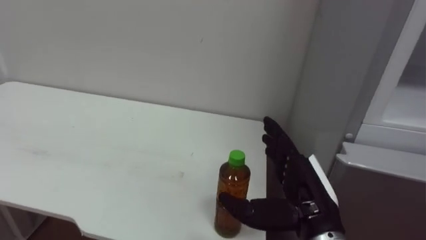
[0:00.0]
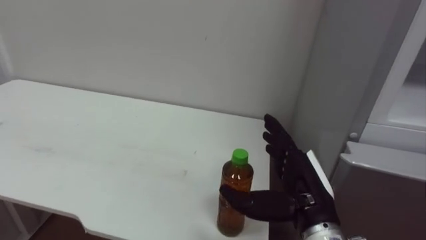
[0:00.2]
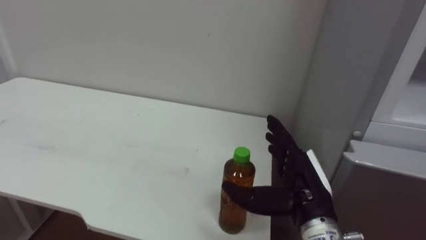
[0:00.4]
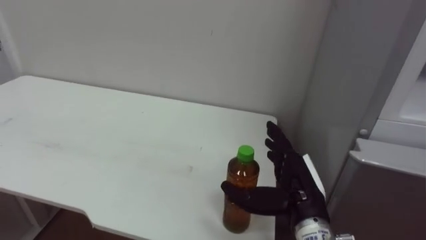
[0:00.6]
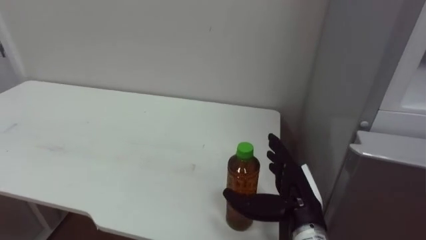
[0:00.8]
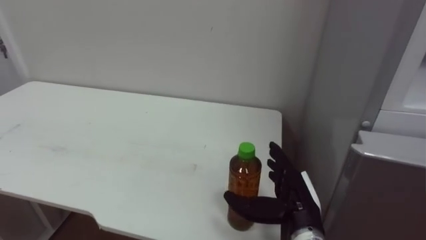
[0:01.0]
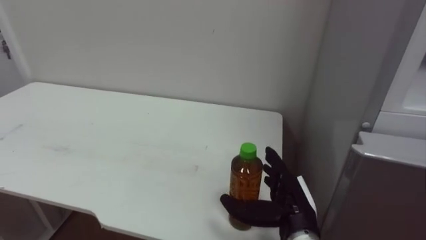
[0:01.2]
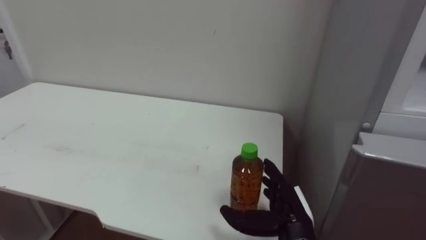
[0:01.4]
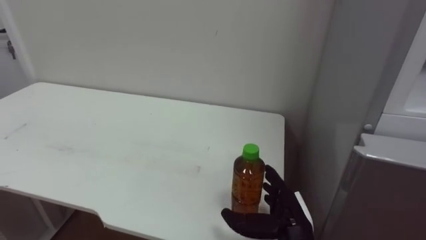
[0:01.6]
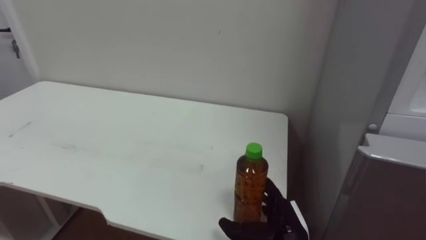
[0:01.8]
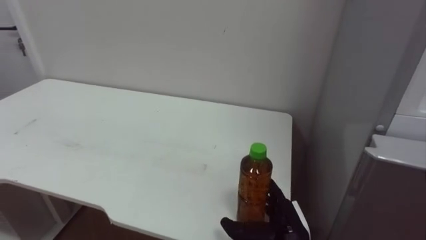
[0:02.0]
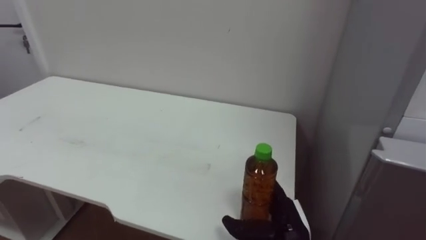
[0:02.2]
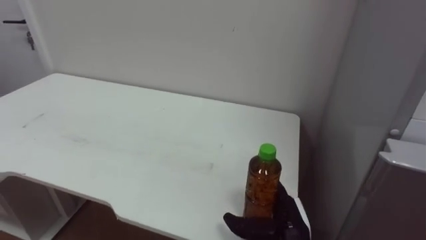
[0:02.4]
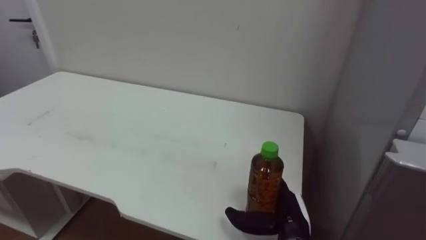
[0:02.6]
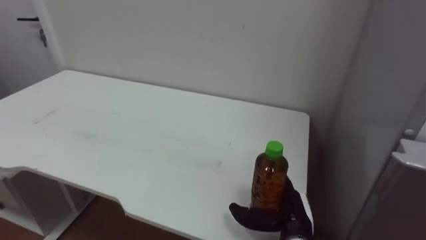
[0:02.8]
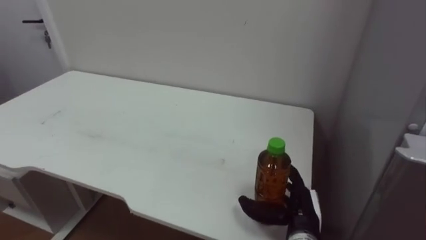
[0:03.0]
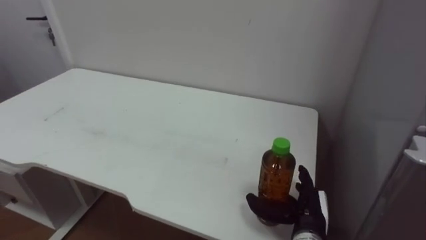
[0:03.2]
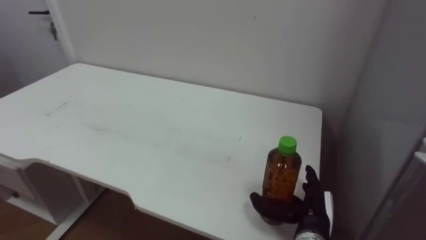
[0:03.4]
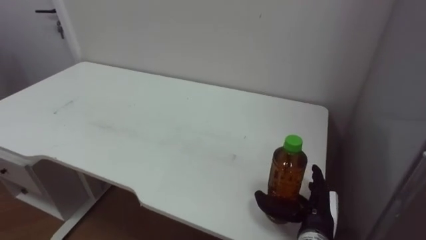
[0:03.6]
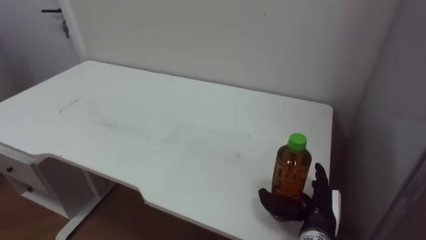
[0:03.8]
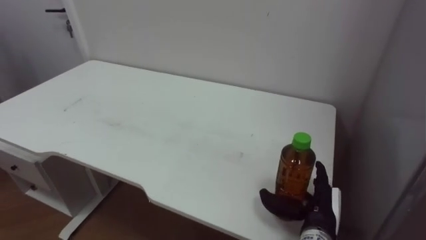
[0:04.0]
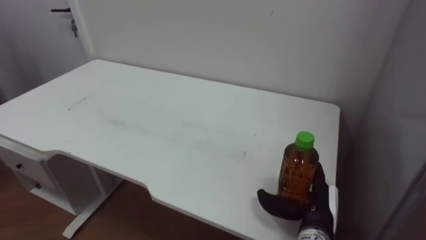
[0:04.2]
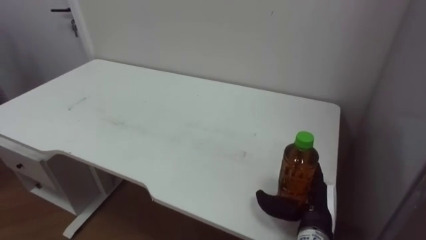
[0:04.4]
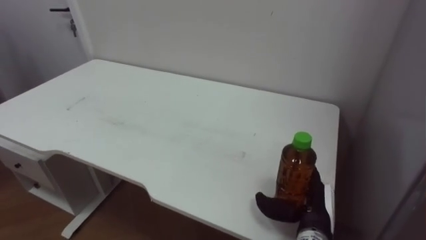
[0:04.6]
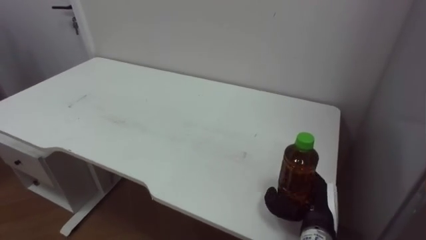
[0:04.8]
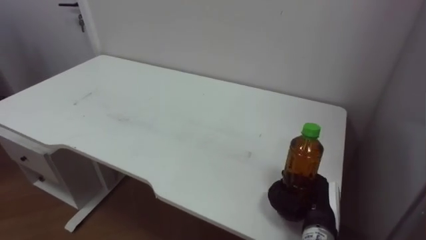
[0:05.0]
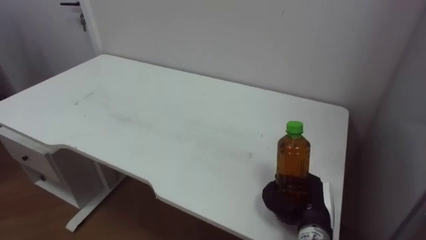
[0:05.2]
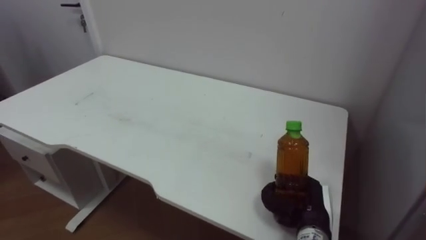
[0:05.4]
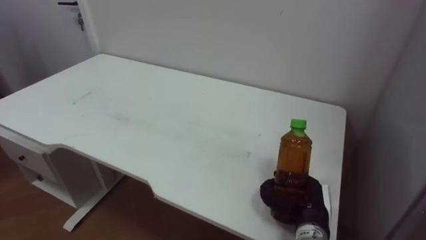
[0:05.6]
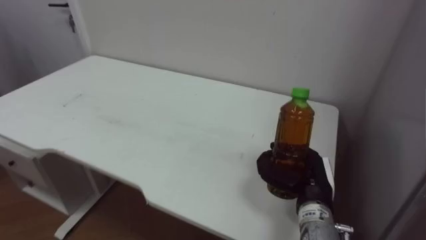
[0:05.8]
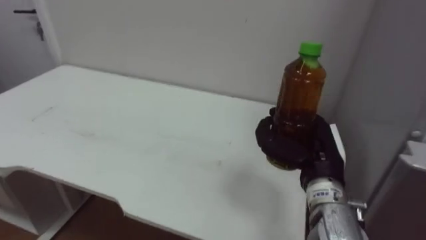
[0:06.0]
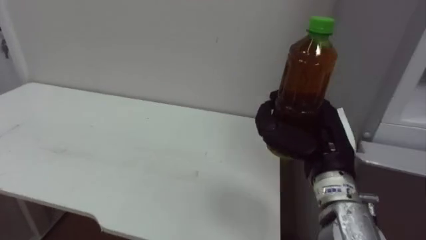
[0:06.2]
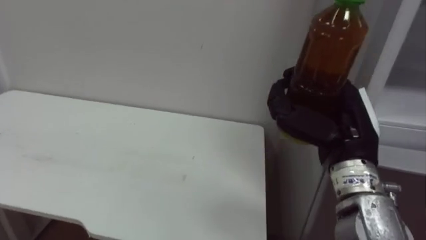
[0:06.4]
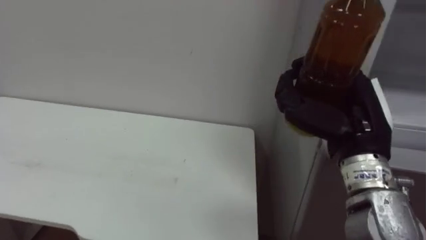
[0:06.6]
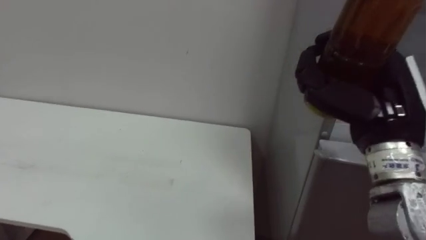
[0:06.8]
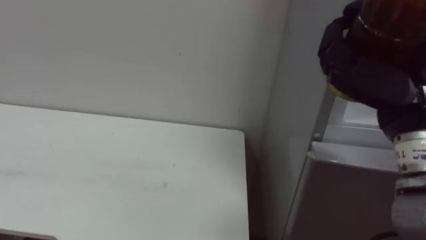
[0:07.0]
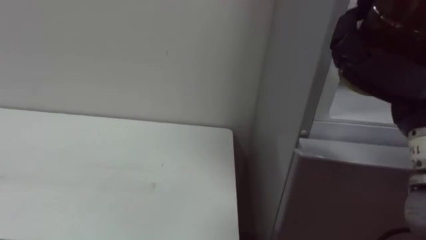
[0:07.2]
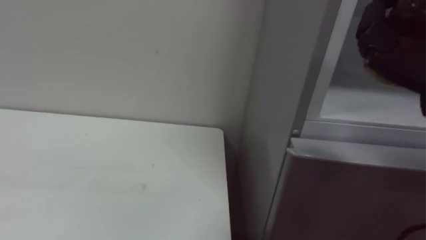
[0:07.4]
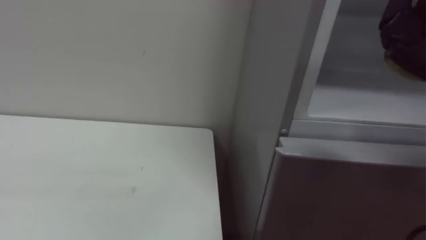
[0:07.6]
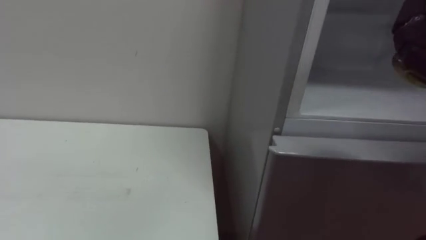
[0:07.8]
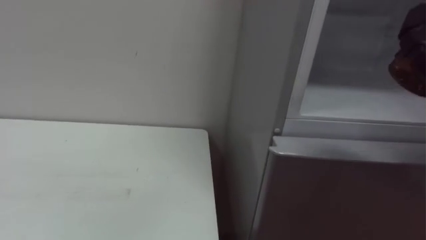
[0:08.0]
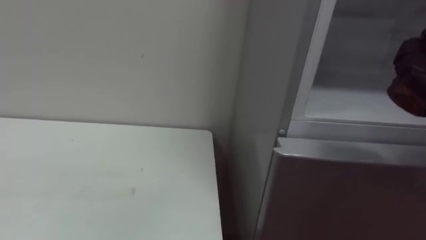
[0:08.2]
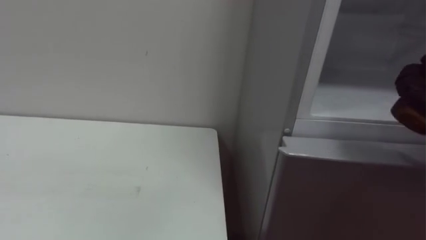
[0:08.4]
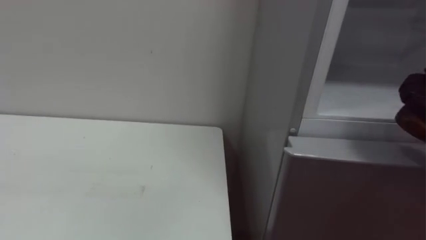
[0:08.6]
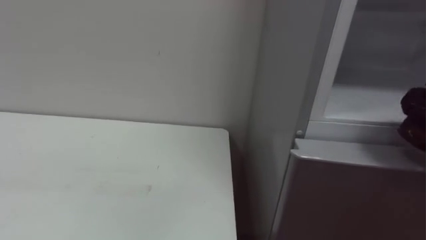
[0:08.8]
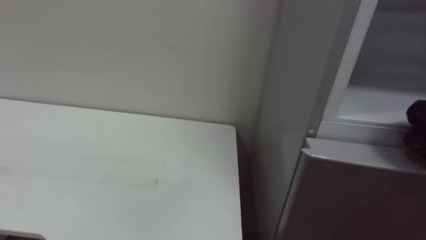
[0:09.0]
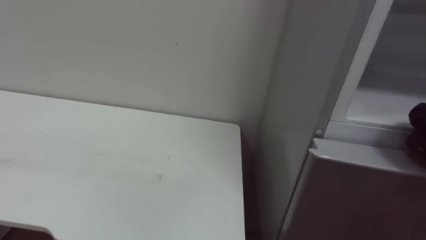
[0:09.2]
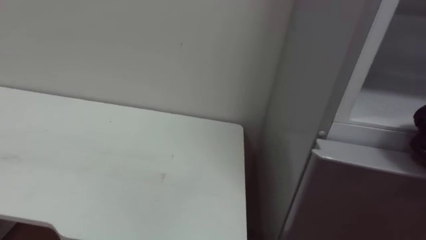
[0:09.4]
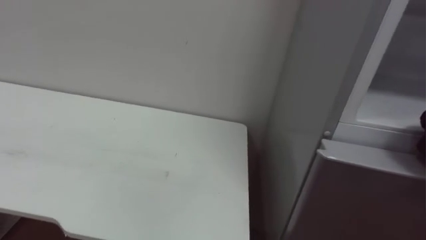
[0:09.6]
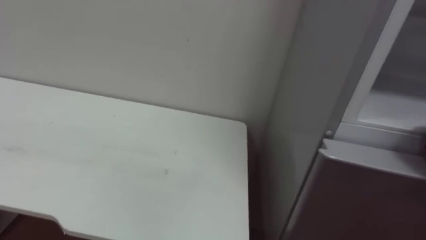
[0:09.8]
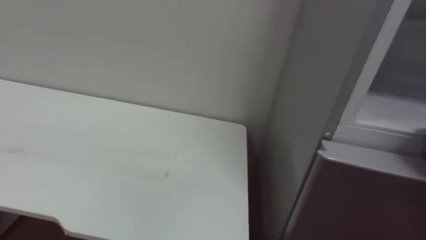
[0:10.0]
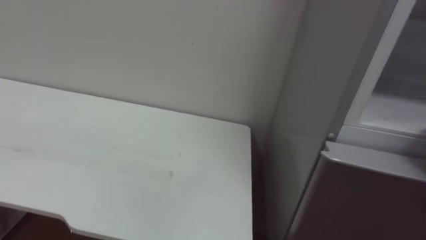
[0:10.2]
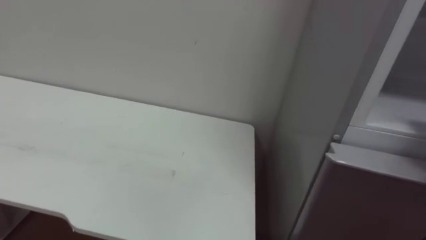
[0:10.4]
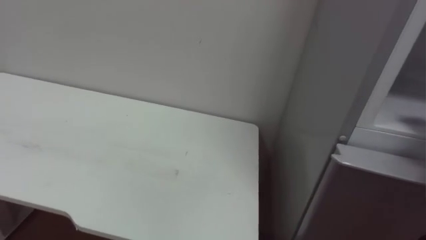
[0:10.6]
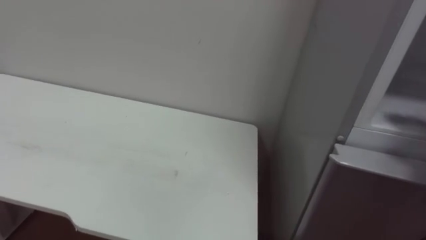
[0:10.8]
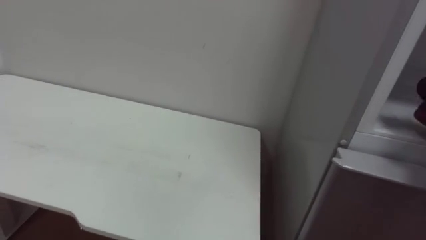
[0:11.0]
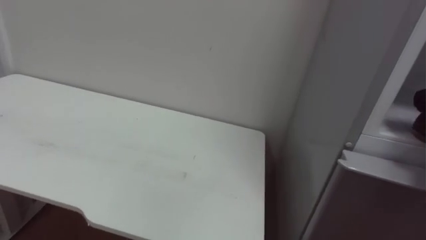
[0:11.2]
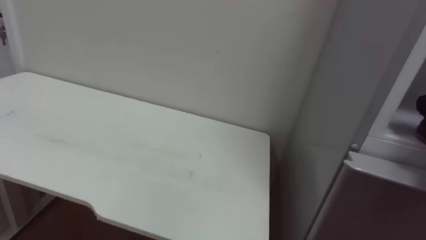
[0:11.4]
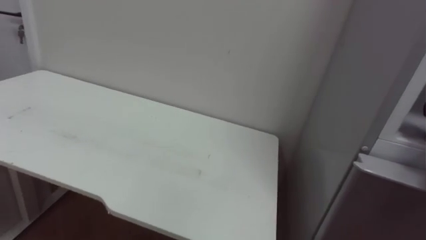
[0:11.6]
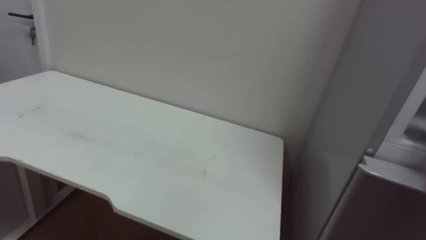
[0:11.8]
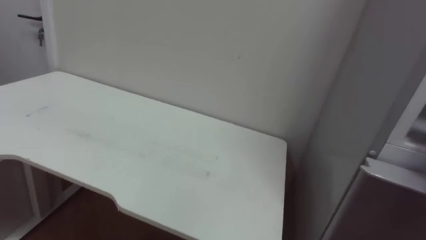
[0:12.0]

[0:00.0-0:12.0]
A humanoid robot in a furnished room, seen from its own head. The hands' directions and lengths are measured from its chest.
Task of the whole recording: Open the upper refrigerator door, put the drink from the table into the refrigerator, and then close the refrigerator door.
0:00.0 to 0:01.6: The right hand is displaced downward by approximately 10 cm.
0:04.4 to 0:06.0: The right hand shifts some 10 cm upward, and closes its fingers.

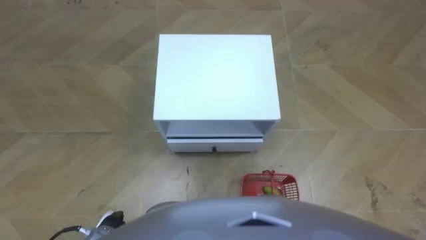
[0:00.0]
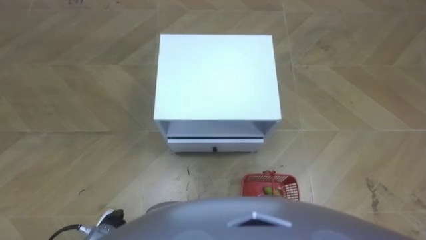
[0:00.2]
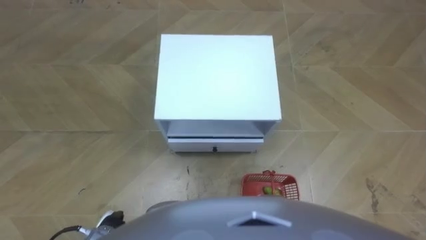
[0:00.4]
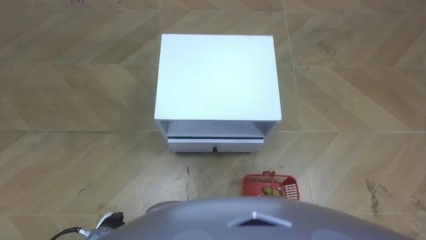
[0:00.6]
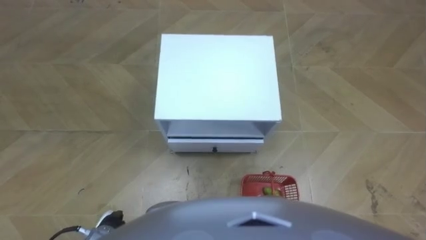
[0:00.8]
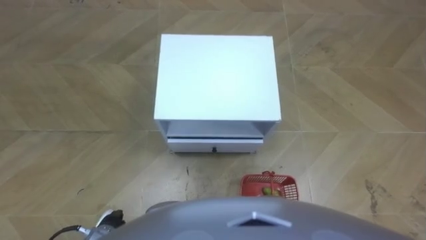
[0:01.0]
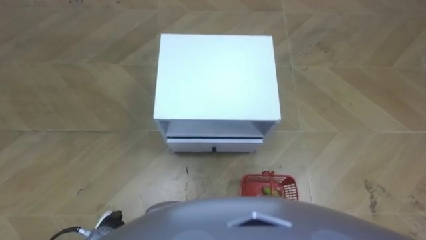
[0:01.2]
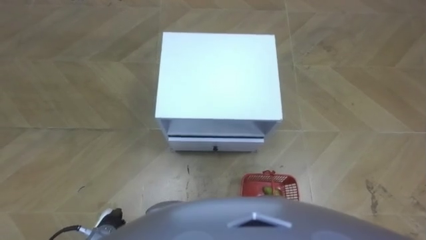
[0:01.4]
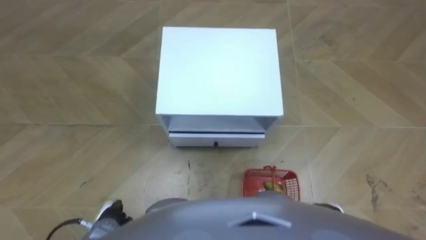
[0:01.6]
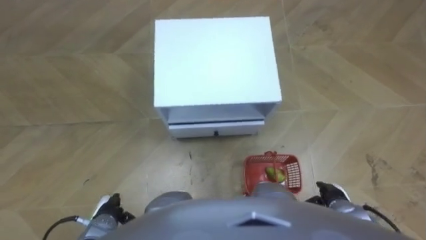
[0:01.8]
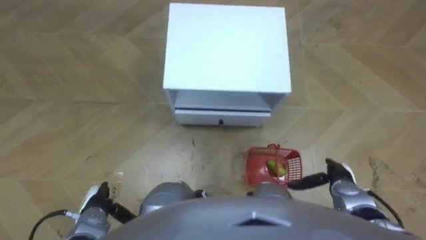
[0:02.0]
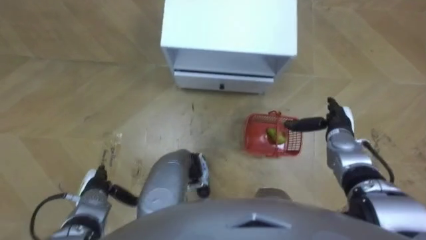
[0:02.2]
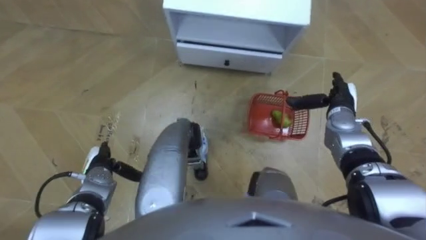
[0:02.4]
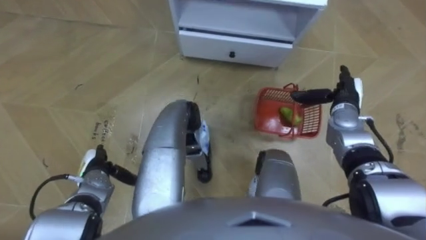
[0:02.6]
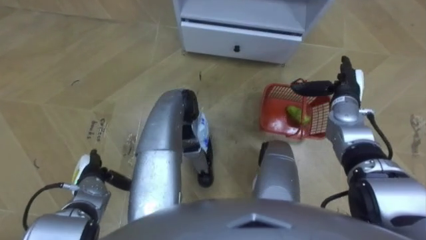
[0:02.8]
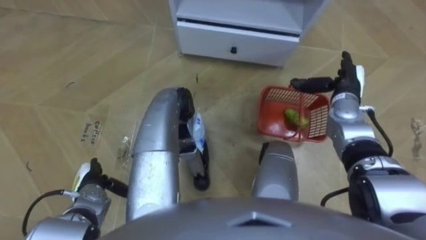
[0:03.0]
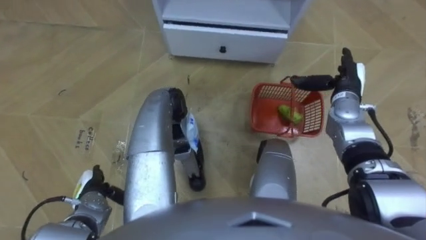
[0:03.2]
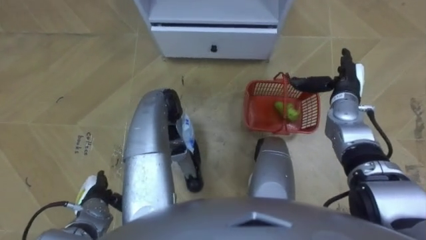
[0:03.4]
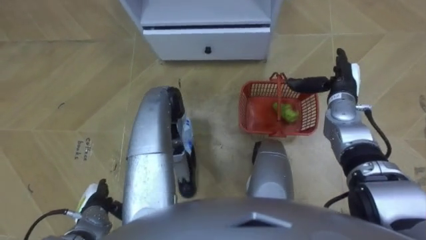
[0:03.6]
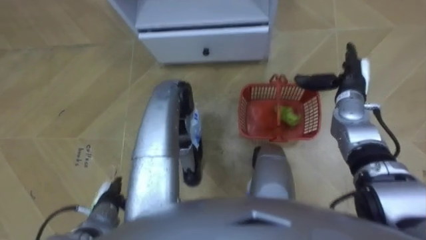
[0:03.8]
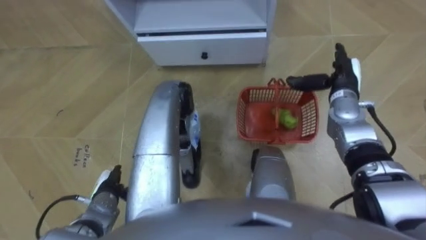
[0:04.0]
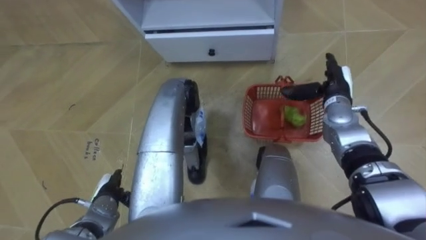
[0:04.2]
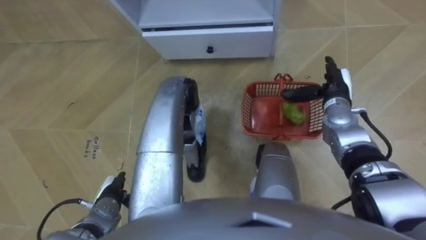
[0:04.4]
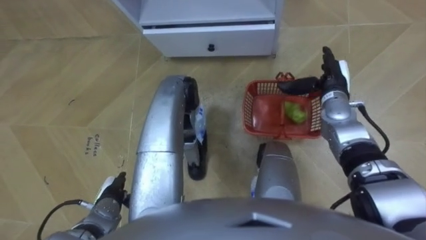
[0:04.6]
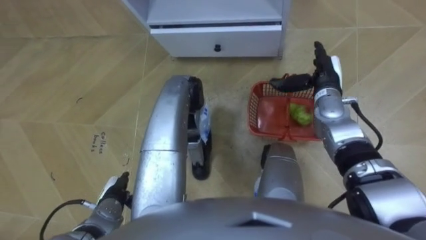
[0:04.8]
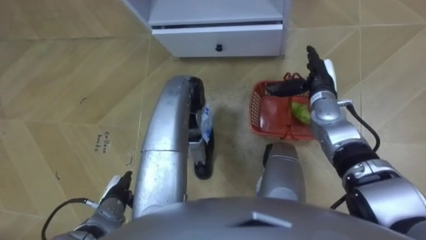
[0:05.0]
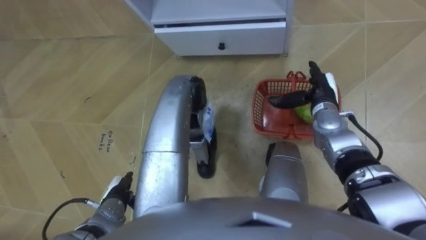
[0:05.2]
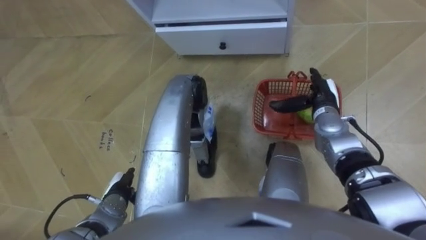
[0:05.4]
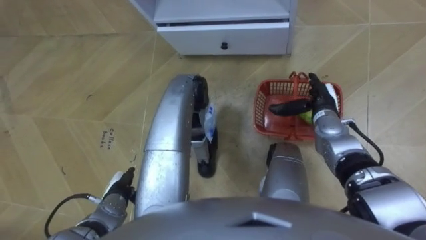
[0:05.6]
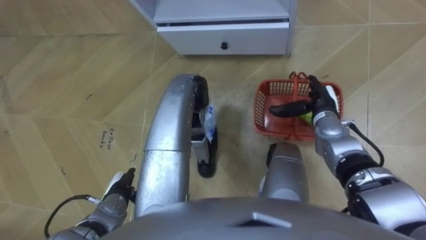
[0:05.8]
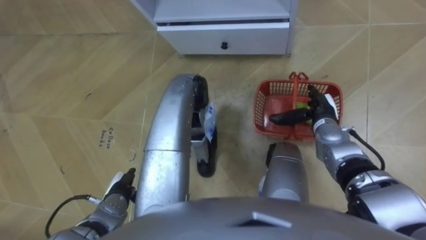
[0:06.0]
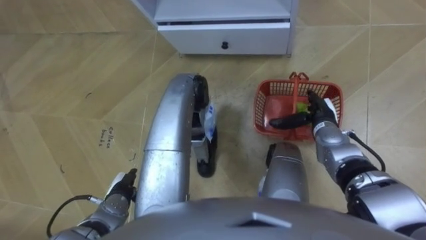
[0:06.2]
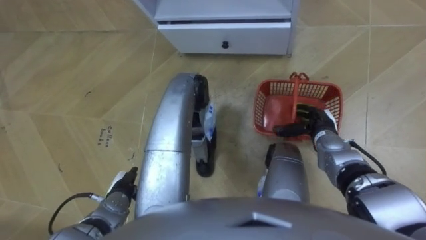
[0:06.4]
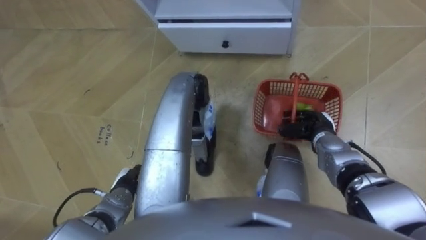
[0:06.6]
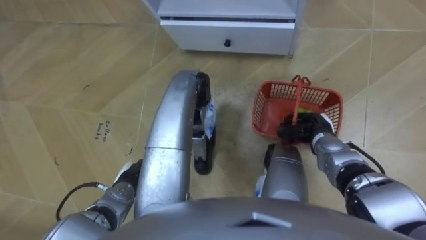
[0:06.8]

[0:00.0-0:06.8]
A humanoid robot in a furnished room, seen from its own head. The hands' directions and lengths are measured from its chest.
Task of the whole recording: Pick up the fruit basket from the floor and place it on the cabinet.
0:01.4 to 0:02.8: The left hand heads forward, covering approximately 10 cm. The right hand is displaced forward and upward by about 30 cm.
0:02.8 to 0:04.0: The left hand changes place by approximately 5 cm.
0:04.0 to 0:05.4: The right hand shifts by some 5 cm.
0:05.4 to 0:06.8: The right hand is displaced backward by roughly 5 cm, and closes up.
